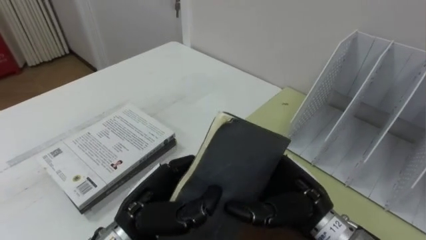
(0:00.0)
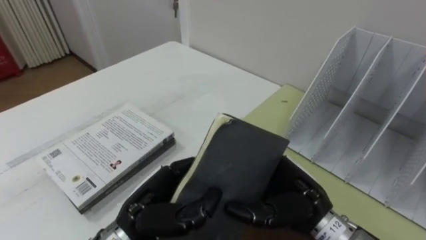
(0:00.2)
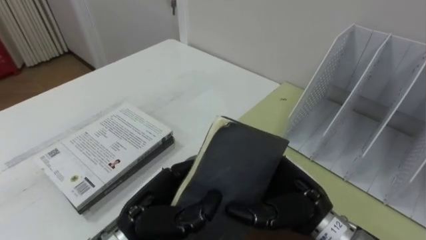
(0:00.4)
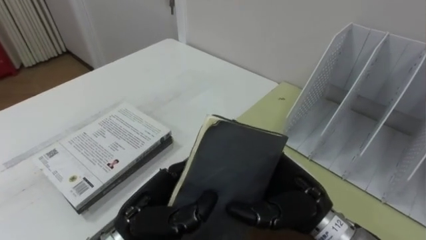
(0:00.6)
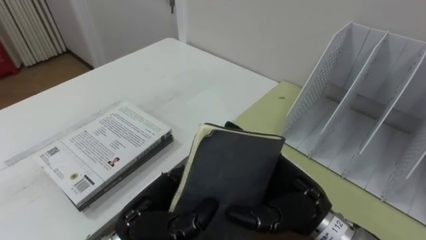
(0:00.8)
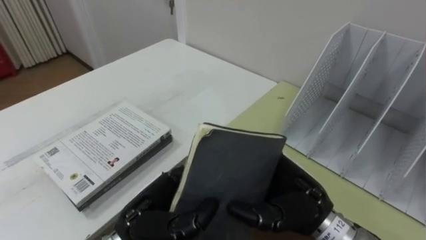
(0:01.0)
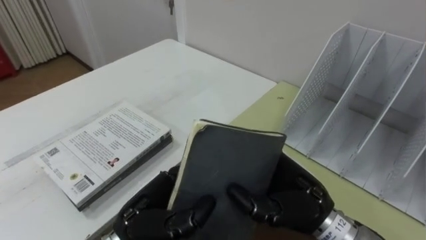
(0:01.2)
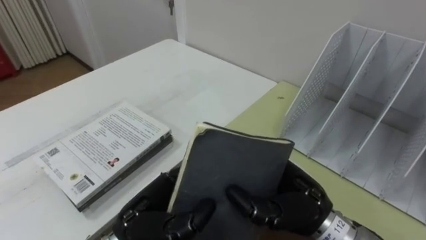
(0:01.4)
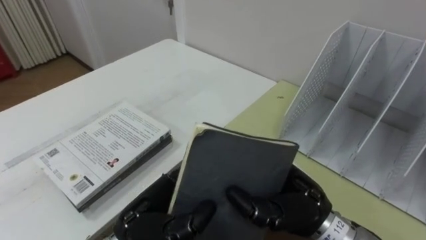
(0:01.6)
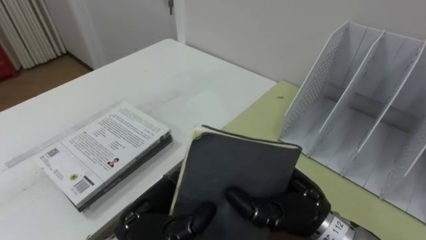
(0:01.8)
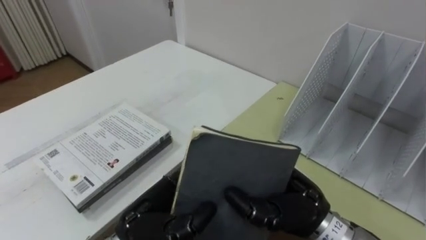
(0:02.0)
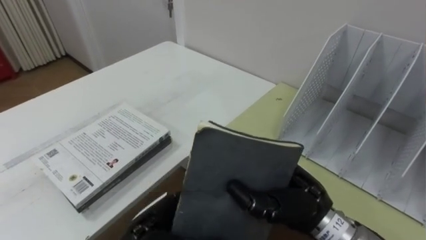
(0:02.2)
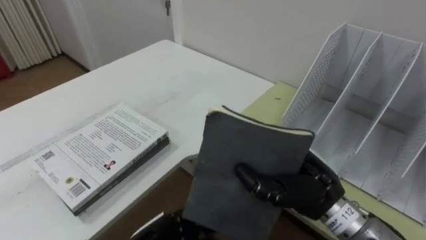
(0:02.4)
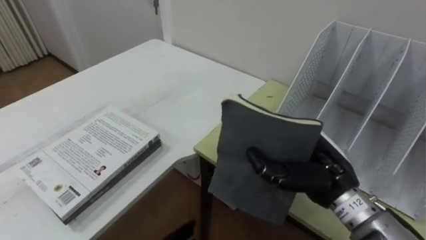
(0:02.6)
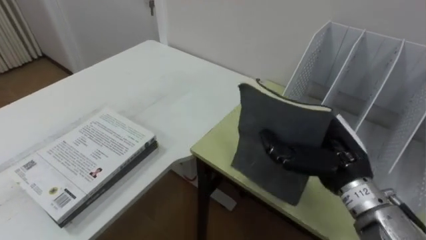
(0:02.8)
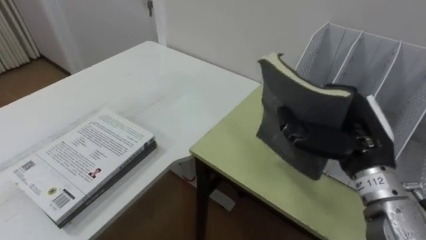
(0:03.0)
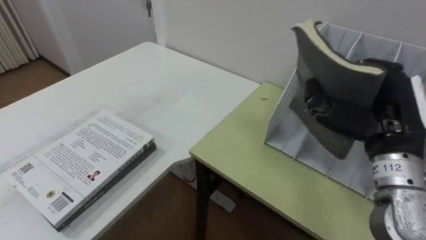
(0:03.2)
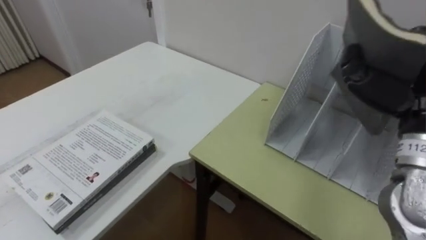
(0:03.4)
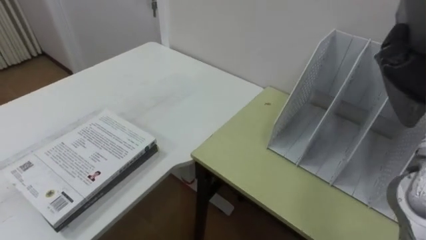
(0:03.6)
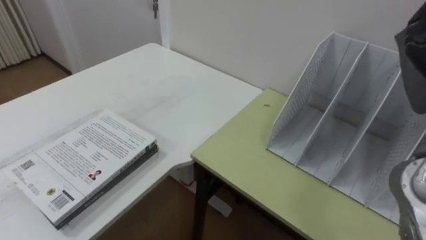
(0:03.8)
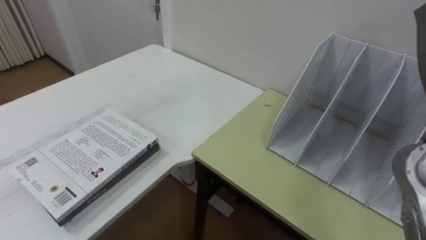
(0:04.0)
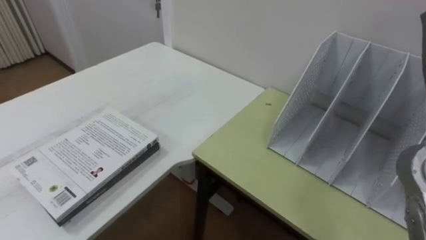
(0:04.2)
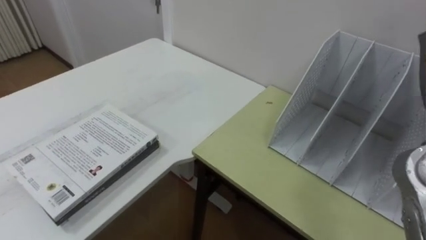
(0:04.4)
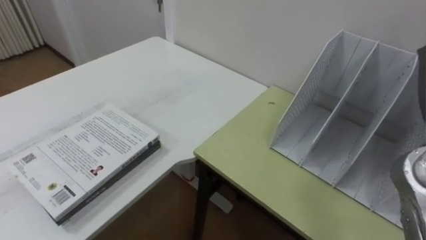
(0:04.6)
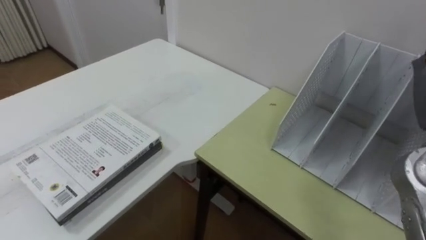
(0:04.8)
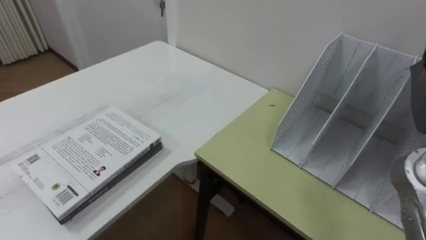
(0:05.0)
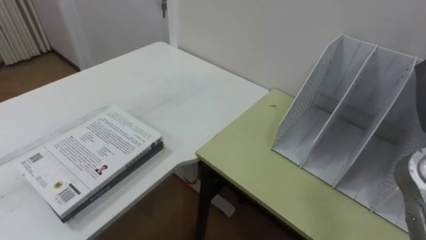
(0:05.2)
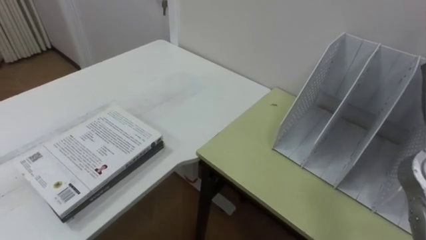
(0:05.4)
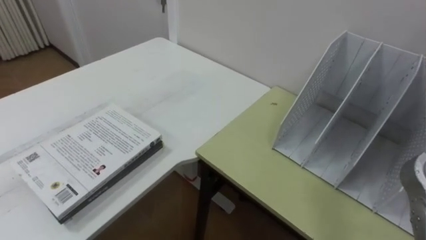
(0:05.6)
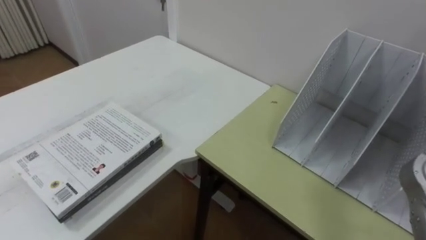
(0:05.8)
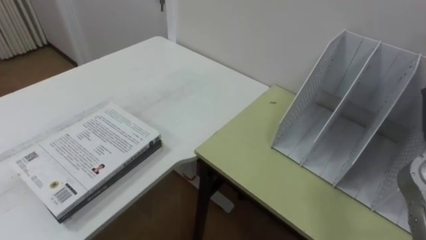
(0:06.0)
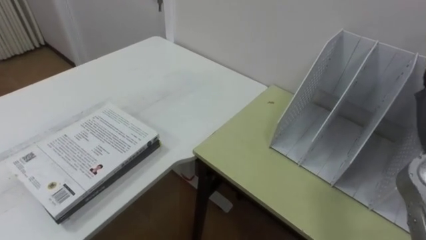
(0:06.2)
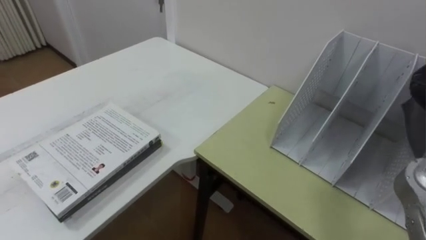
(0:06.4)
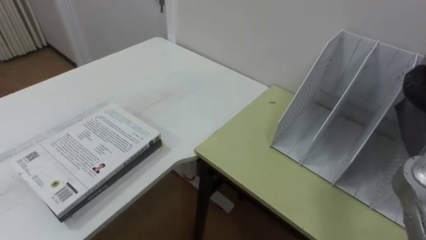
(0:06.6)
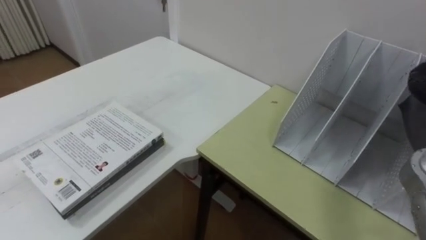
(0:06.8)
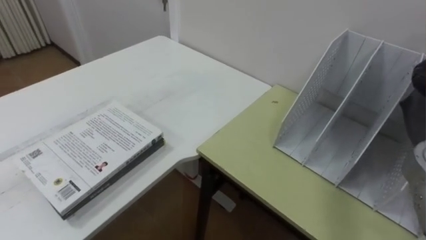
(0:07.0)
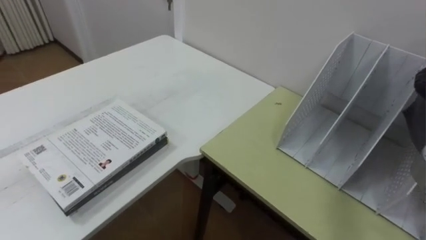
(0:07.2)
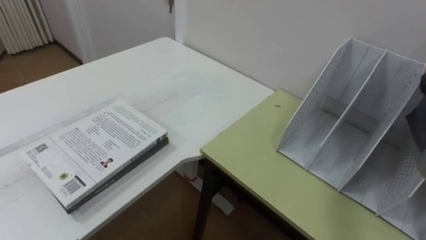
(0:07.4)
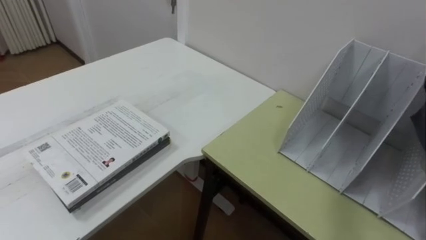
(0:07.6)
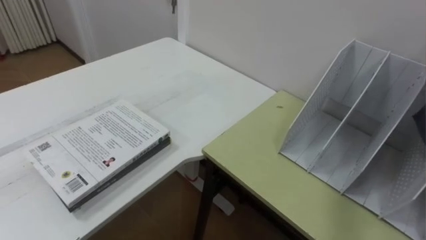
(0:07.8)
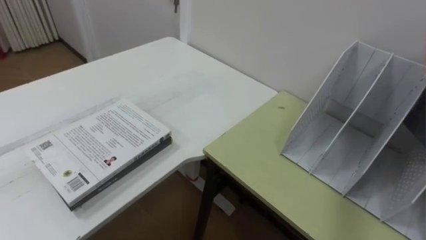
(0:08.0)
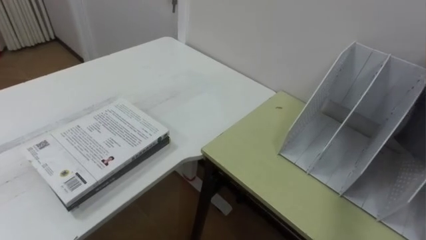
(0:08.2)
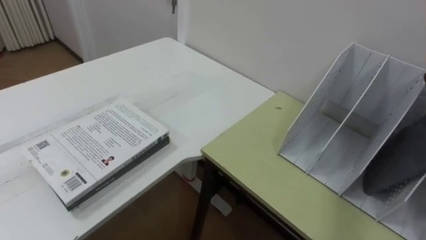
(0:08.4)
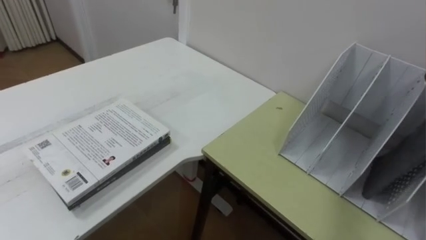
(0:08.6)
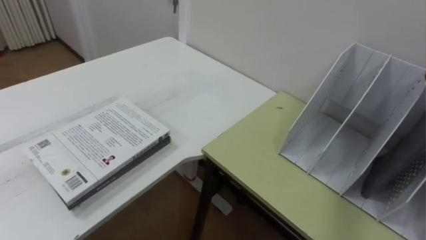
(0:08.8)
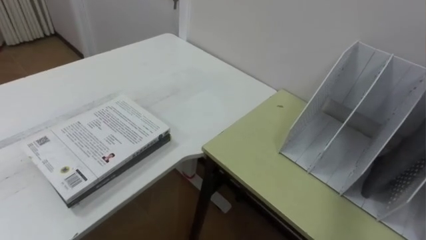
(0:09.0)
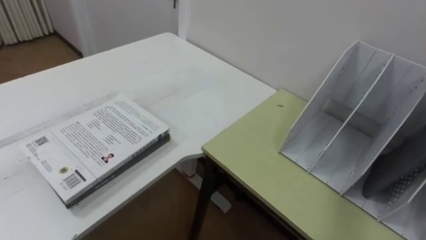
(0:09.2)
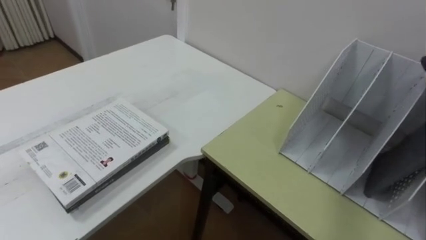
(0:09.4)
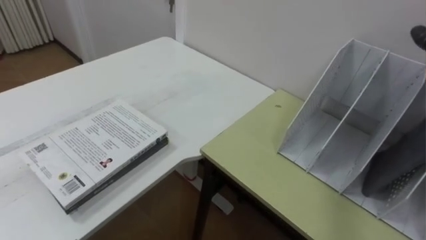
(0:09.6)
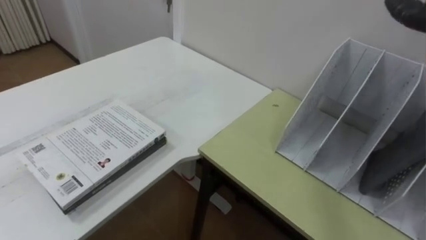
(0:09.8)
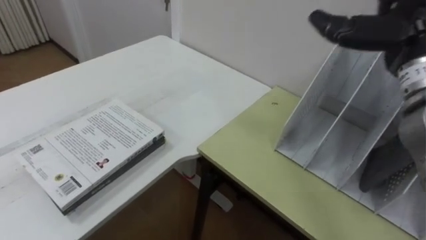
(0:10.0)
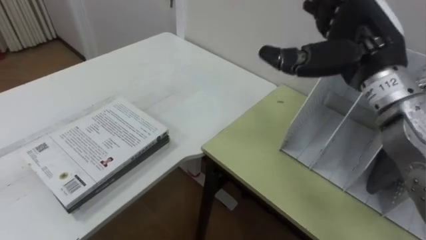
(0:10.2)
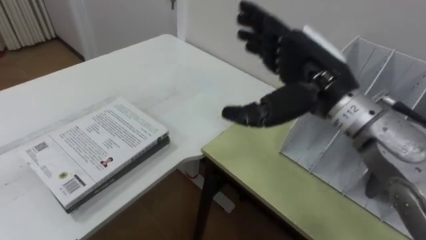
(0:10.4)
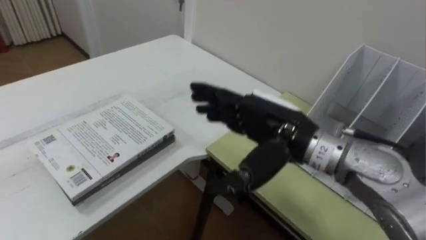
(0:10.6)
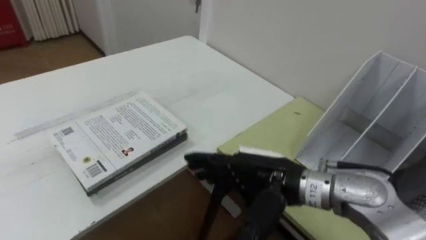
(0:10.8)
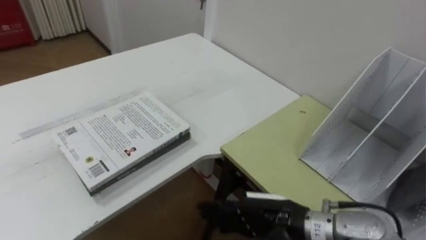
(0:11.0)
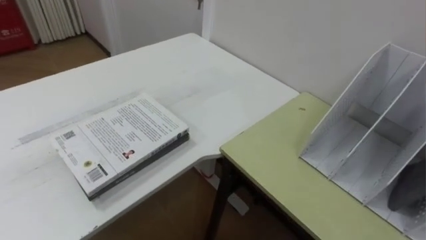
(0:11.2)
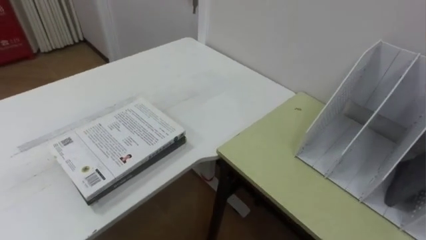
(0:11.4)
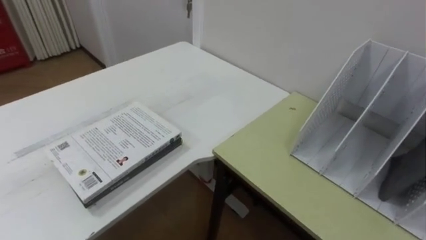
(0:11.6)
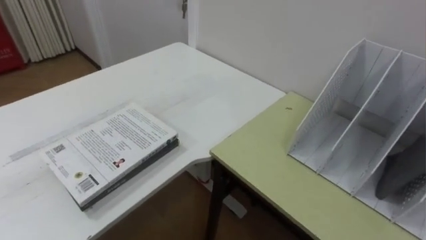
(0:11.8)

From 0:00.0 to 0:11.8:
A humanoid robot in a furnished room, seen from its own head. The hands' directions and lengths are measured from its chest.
Task of the whole recording: Put the books on the table onto the bookshelf.
From 0:00.0 to 0:01.4: The right hand closes its fingers.
From 0:01.4 to 0:03.0: The right hand moves to the right and upward, about 10 cm.

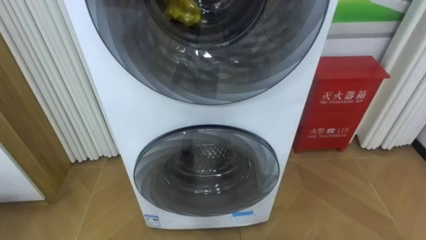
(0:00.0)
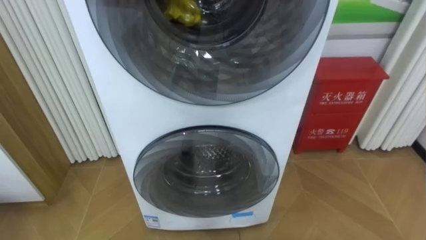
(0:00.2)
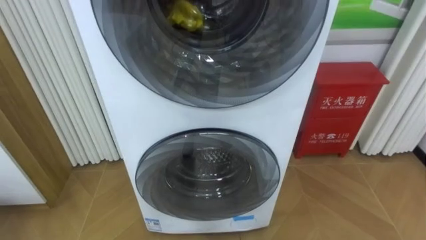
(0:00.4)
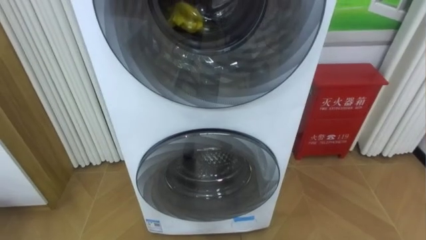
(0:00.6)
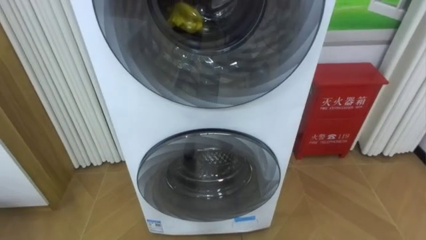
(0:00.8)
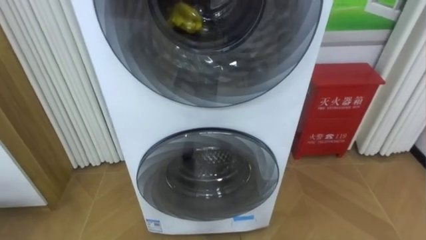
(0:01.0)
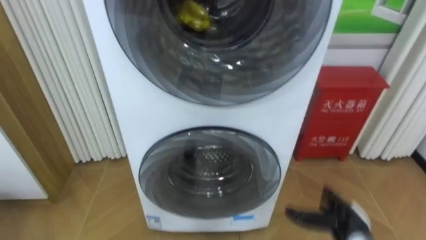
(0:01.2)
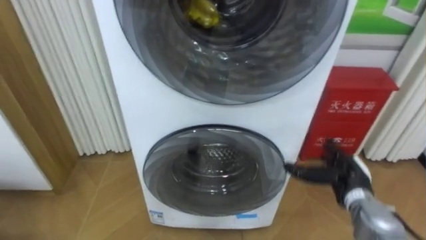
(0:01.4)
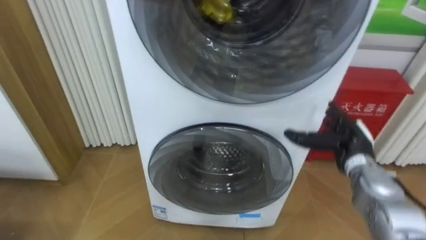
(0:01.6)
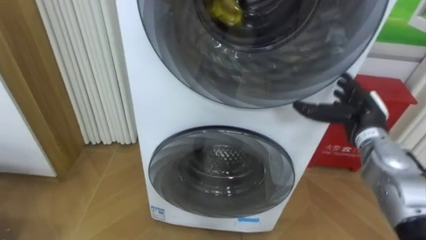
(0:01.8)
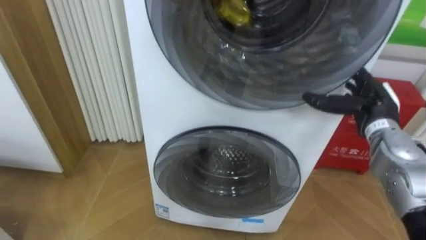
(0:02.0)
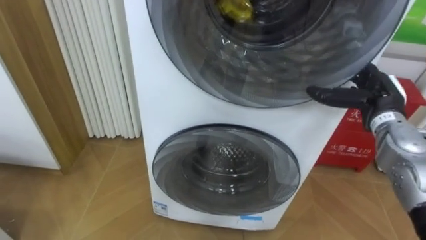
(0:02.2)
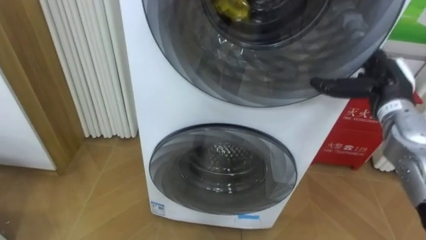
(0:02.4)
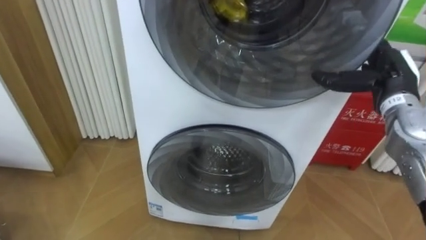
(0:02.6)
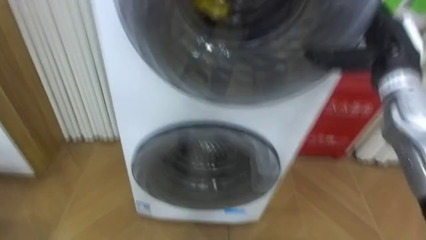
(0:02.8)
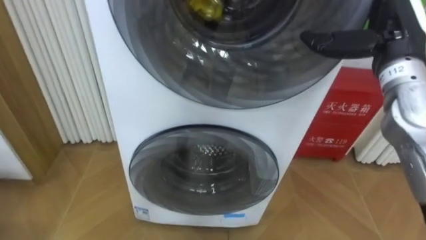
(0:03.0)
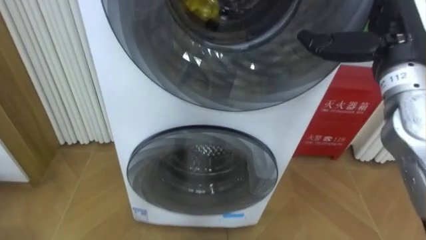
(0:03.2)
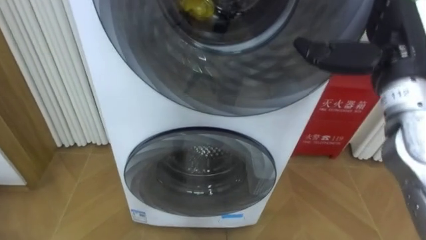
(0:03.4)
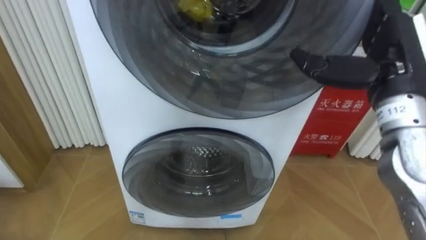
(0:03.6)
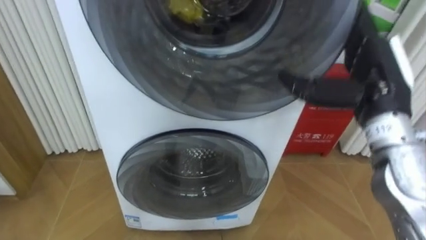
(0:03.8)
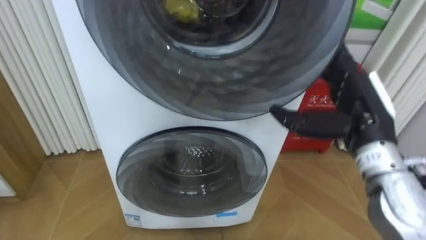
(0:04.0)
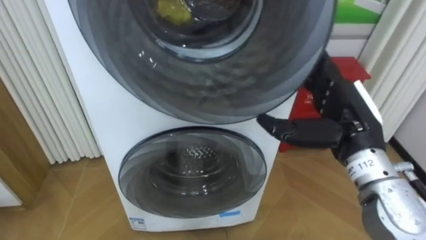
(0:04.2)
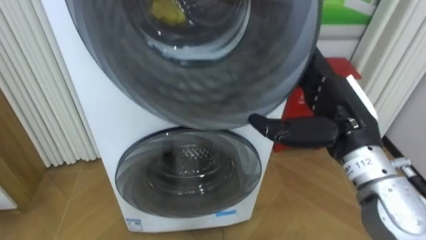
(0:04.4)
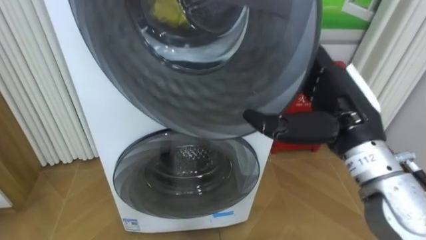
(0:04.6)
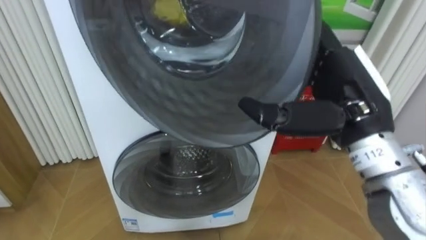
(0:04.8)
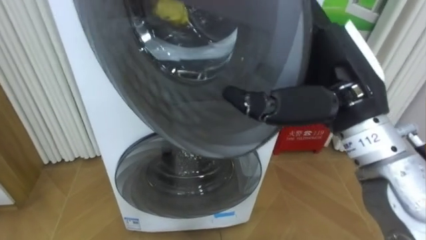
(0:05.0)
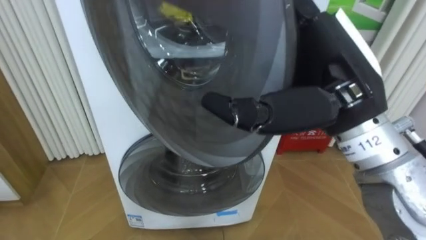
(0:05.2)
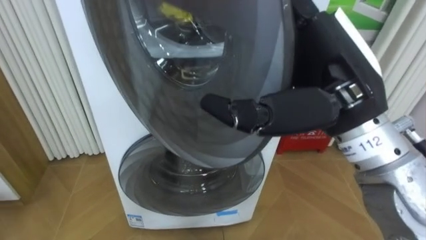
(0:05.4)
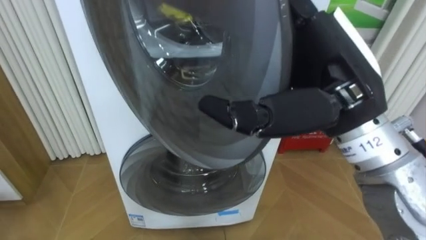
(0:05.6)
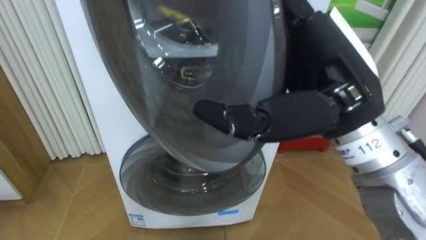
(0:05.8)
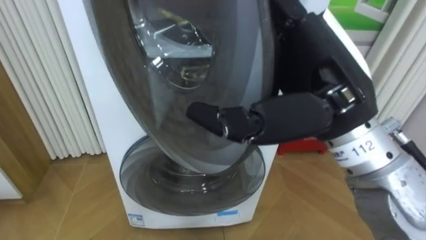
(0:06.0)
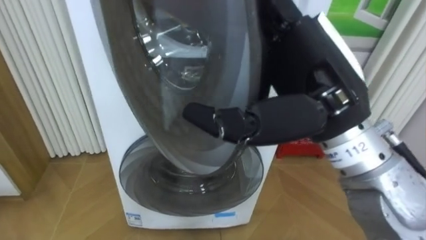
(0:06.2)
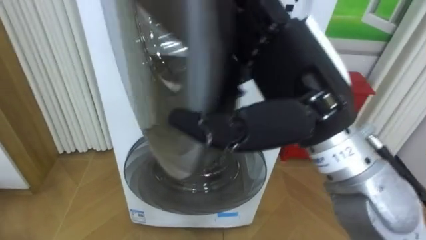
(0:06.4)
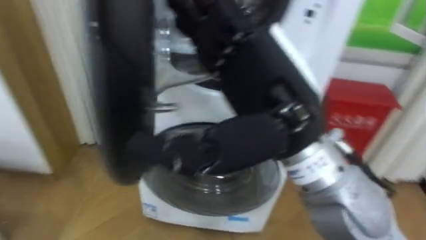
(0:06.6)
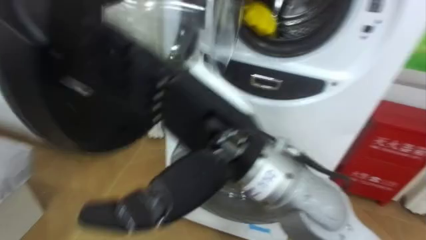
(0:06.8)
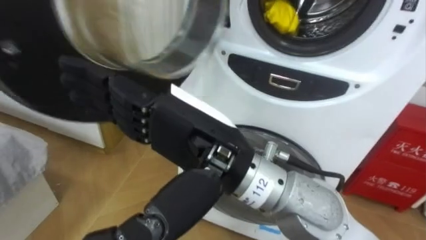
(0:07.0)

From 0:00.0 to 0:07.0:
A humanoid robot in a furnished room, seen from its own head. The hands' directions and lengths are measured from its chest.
Task of the whole recording: Open the washing machine door, take out the yellow clothes, place them in the box on the right, and close the washing machine door.
From 0:01.4 to 0:02.8: The right hand is displaced upward by about 25 cm.
From 0:02.8 to 0:04.2: The right hand moves backward, to the left and downward, some 15 cm.
From 0:04.2 to 0:05.6: The right hand travels upward, to the left and backward by approximately 15 cm.
From 0:05.6 to 0:07.0: The right hand heads to the left, covering roughly 15 cm.
